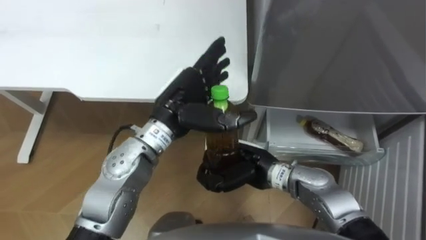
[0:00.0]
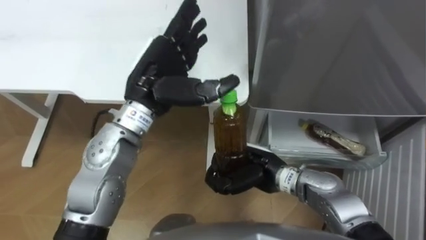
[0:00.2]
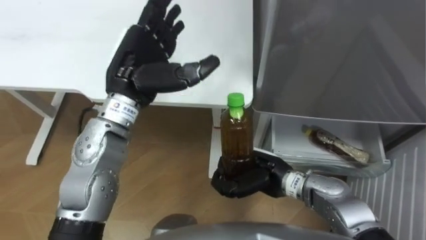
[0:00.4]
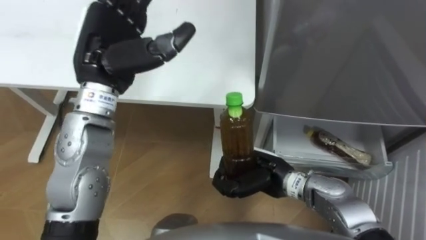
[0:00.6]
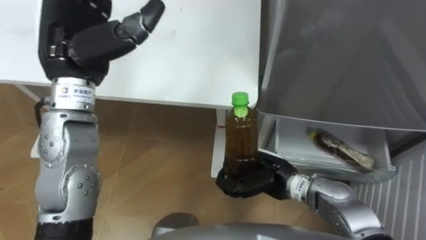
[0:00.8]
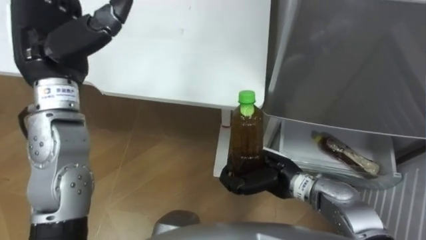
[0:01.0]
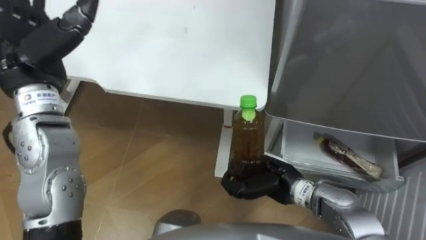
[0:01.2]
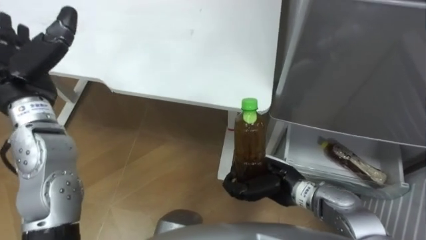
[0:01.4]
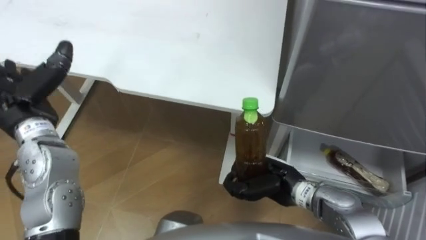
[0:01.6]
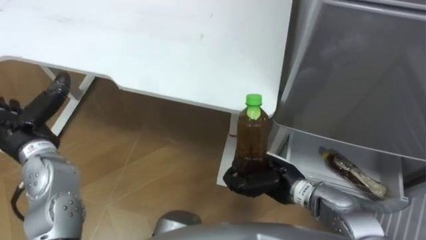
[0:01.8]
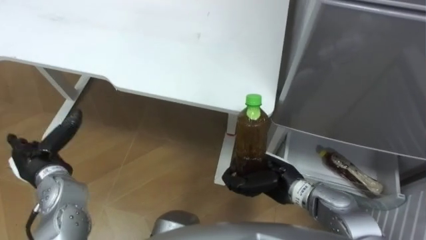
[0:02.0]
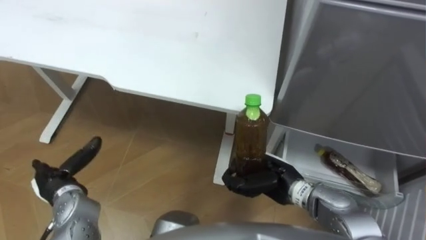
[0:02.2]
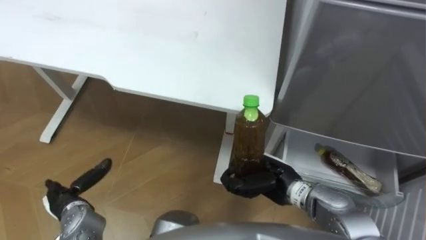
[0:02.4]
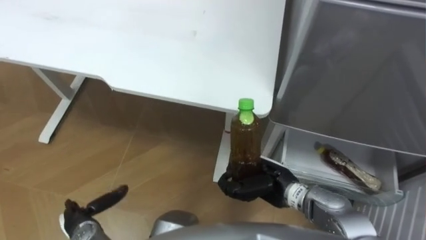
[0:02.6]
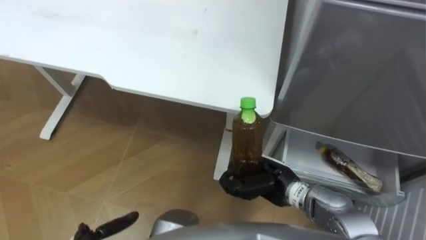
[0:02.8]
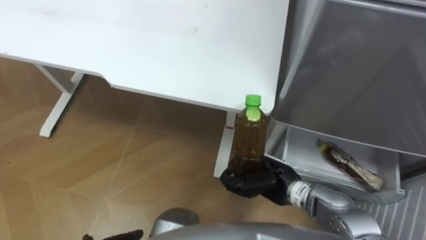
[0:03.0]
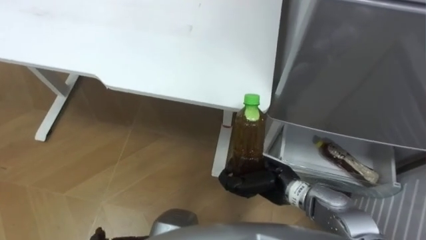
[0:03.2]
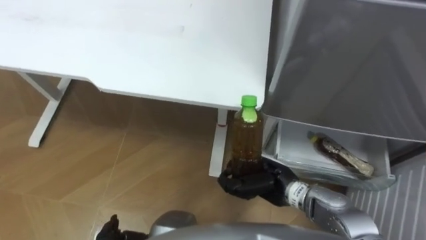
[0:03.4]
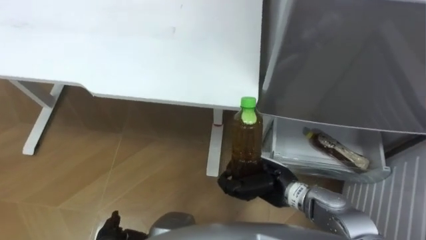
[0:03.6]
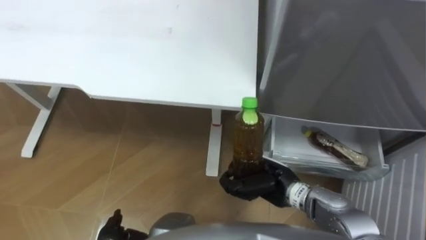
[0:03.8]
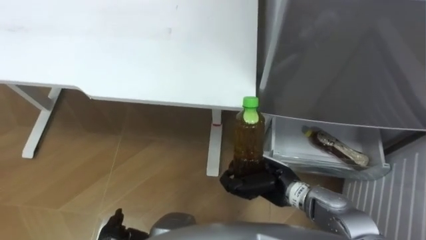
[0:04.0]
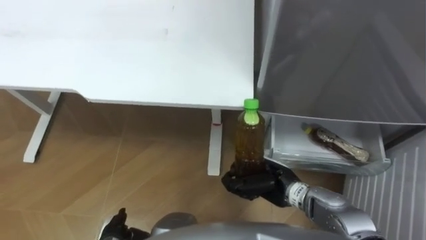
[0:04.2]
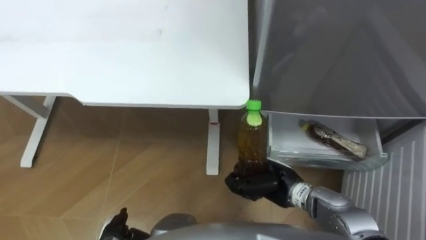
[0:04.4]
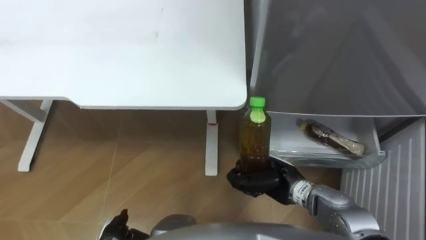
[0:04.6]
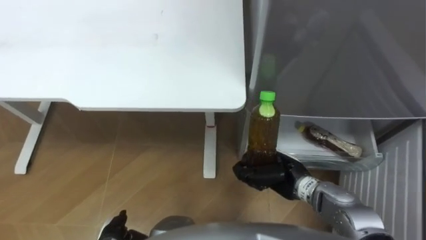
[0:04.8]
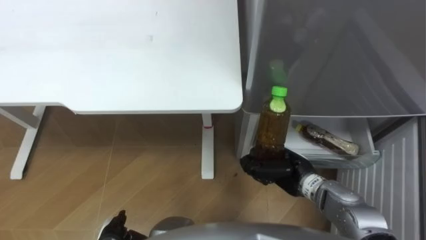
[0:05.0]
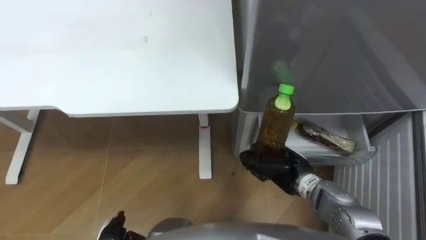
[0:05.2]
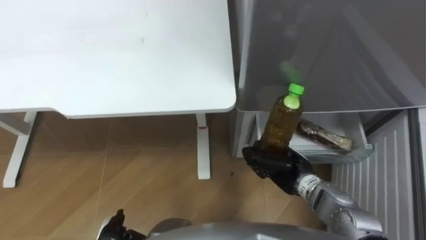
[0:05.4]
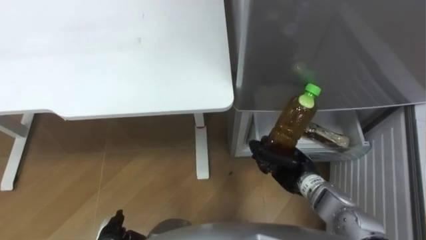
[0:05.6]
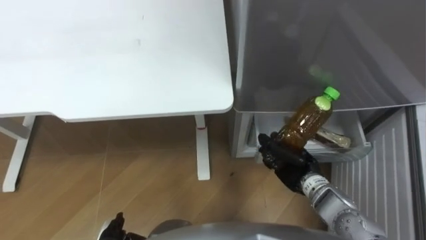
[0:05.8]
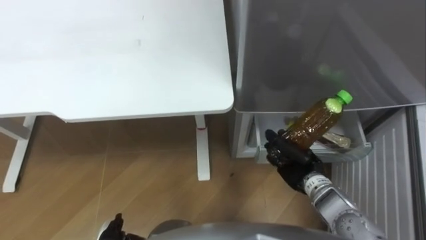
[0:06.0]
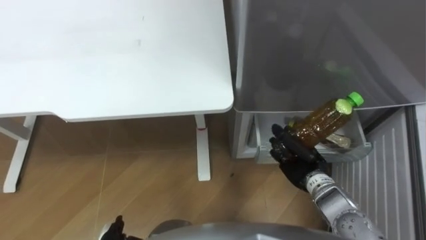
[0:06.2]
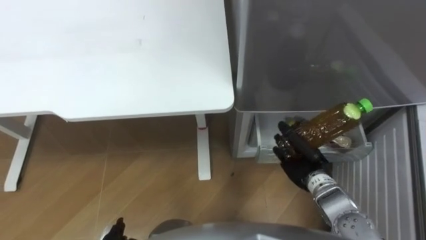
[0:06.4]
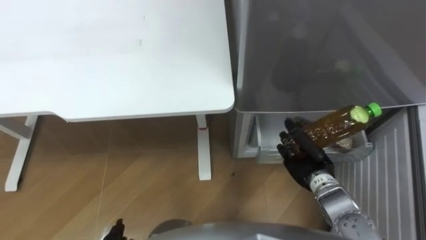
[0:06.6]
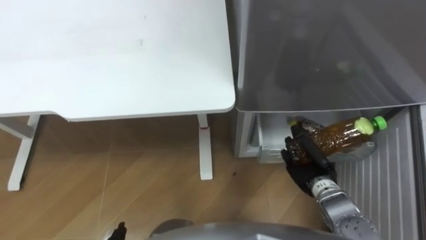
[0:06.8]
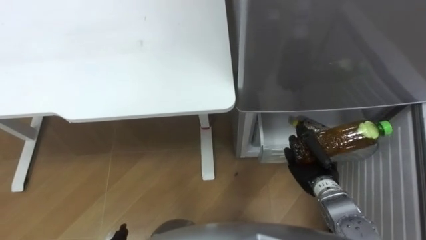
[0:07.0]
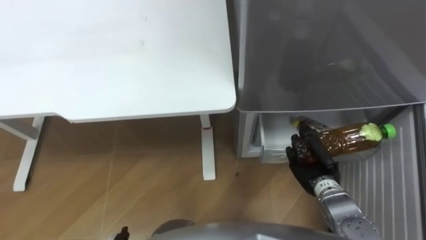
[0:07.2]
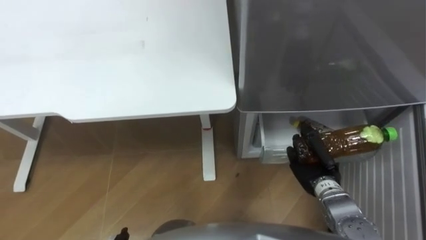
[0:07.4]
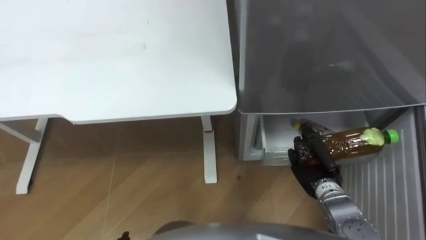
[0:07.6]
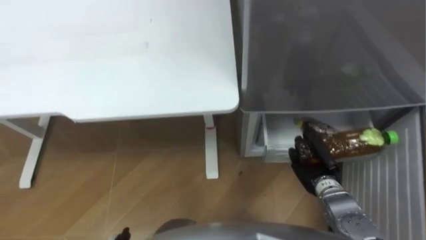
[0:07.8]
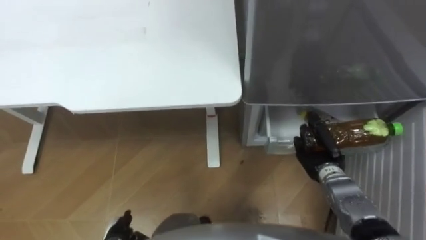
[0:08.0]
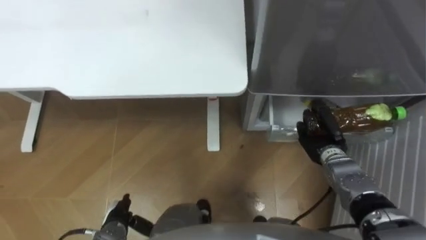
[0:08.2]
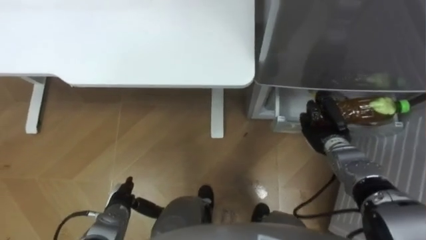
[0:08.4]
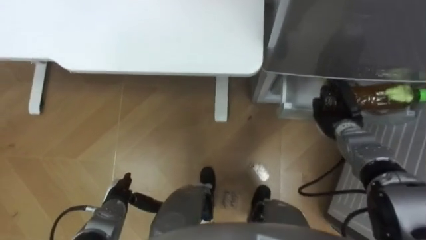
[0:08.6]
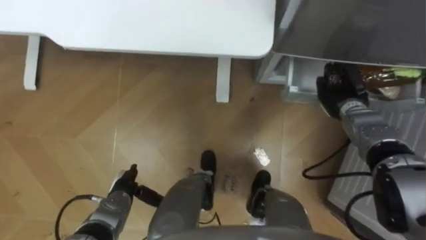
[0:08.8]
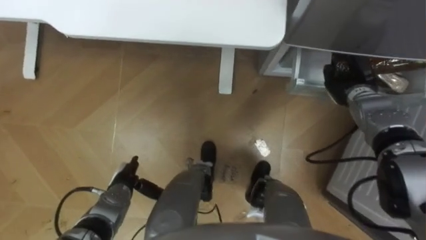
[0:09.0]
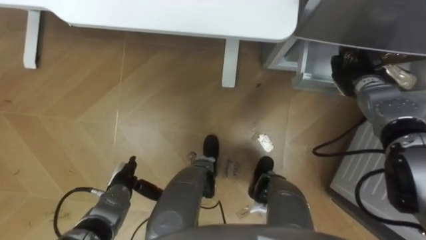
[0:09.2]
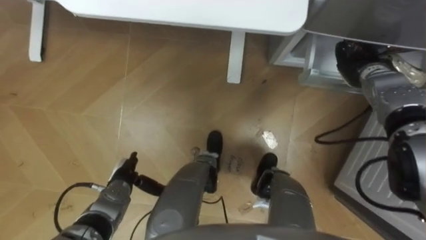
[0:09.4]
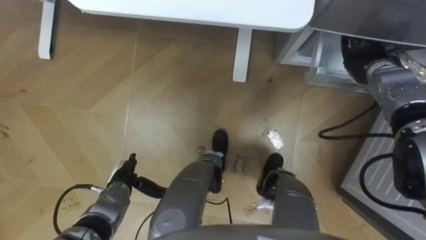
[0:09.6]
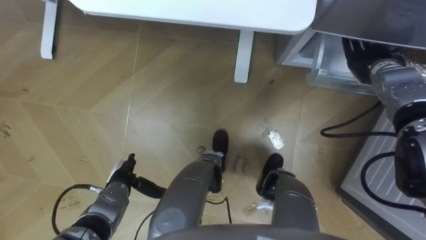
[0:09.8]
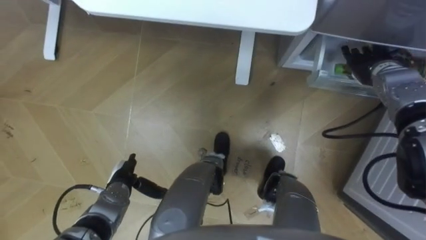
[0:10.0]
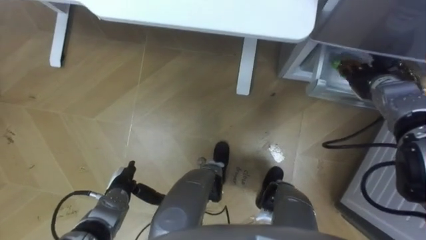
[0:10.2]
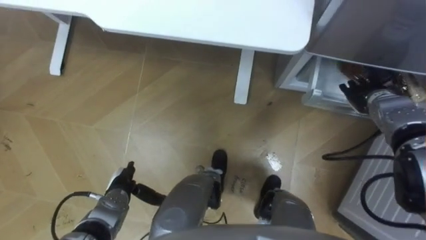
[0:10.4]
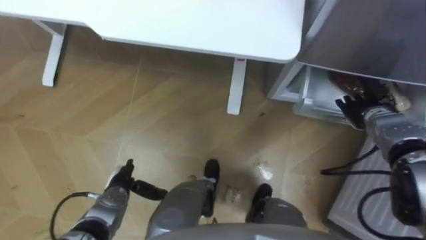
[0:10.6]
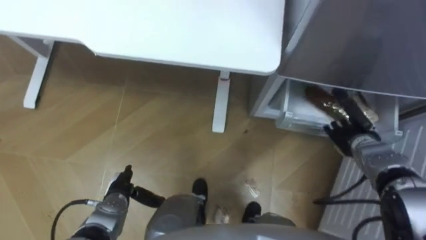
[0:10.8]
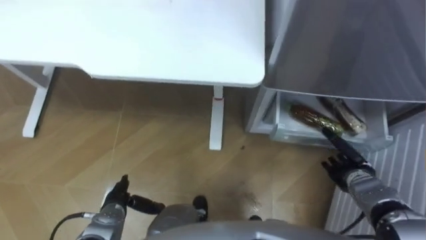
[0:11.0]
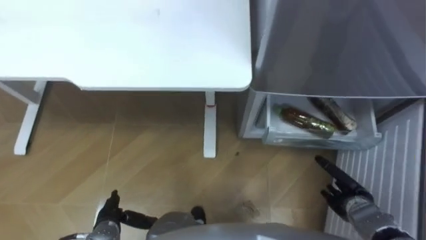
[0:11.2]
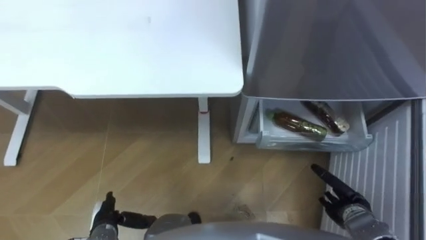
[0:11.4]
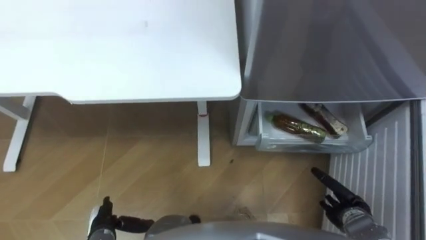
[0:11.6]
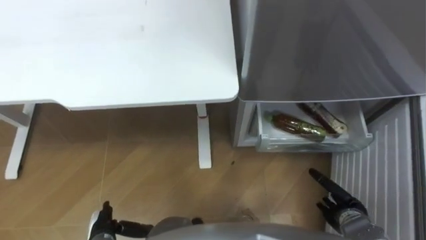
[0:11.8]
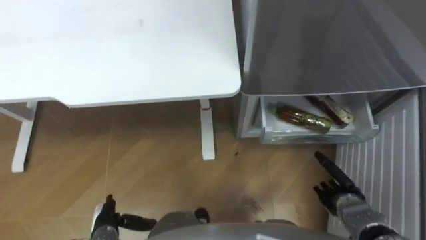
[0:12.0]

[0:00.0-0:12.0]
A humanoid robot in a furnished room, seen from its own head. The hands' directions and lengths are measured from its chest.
Task of the whole recording: Place the drink on the table on the bottom shelf of the refrigerator, then close the drawer and the refrigerator door.
0:00.0 to 0:01.6: The right hand moves to the right, approximately 5 cm; the left hand moves to the left, roughly 25 cm.
0:04.4 to 0:06.0: The right hand heads to the right, covering about 5 cm.
0:07.6 to 0:09.0: The right hand heads forward and upward, covering approximately 20 cm.
0:09.0 to 0:10.4: The right hand opens.
0:10.4 to 0:12.0: The left hand moves backward, approximately 10 cm. Meanwhile the right hand moves backward and downward, about 25 cm.

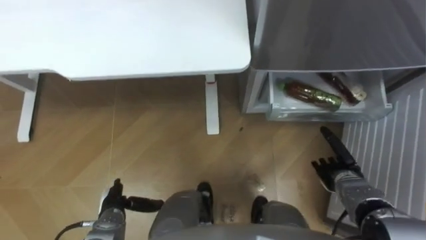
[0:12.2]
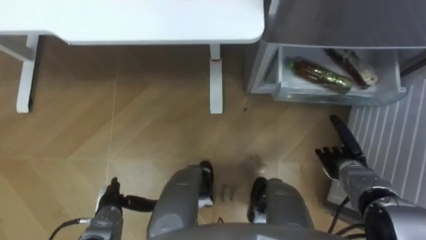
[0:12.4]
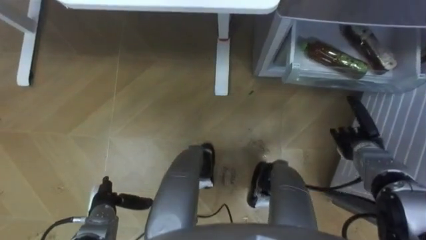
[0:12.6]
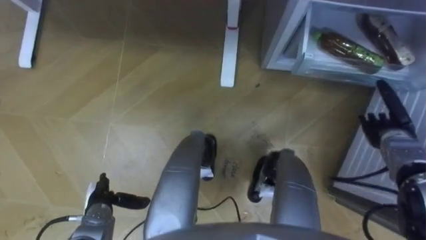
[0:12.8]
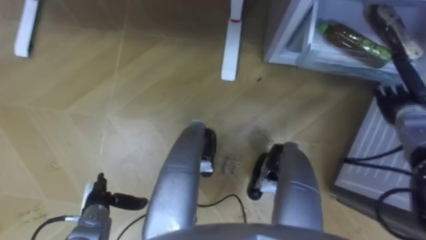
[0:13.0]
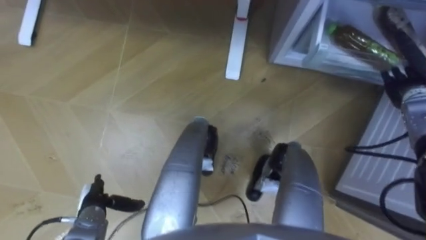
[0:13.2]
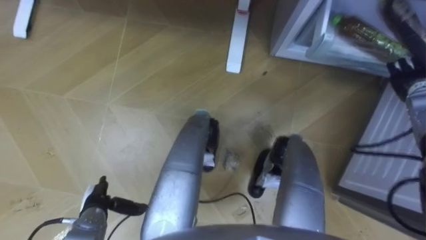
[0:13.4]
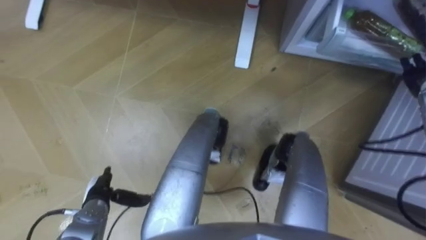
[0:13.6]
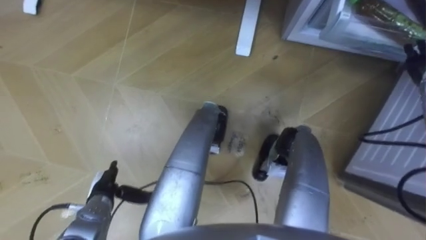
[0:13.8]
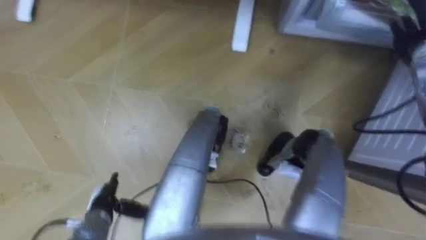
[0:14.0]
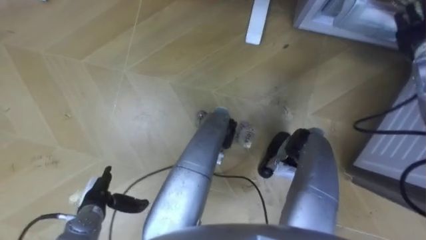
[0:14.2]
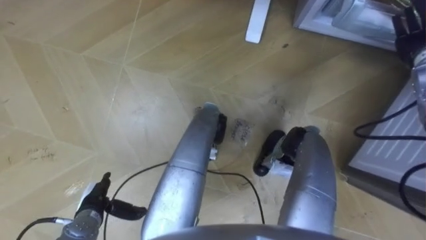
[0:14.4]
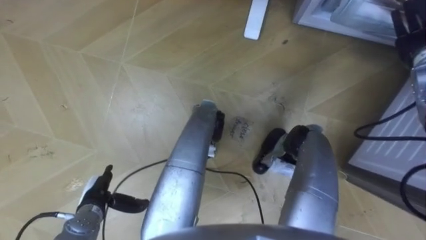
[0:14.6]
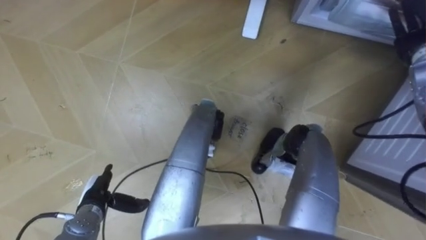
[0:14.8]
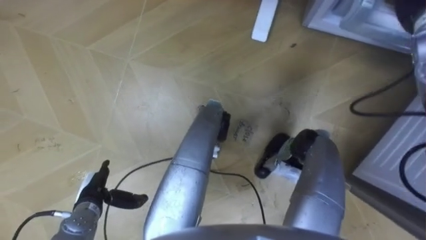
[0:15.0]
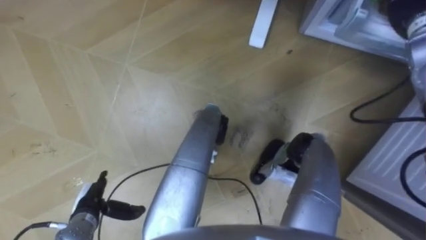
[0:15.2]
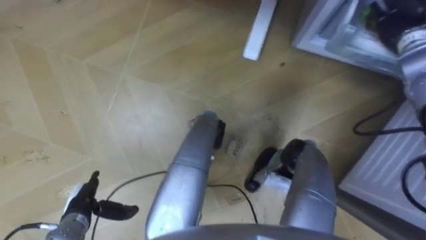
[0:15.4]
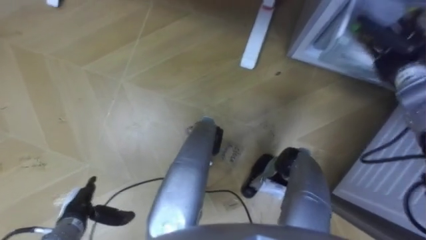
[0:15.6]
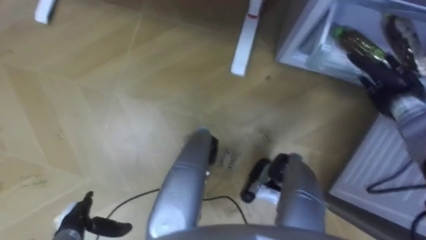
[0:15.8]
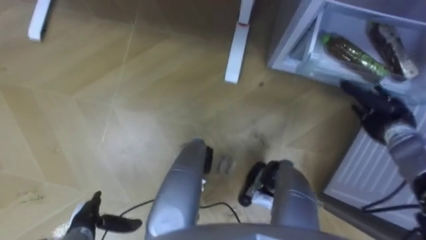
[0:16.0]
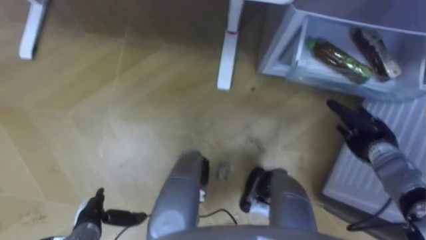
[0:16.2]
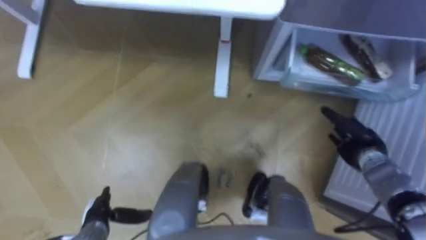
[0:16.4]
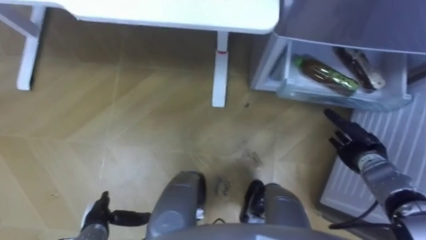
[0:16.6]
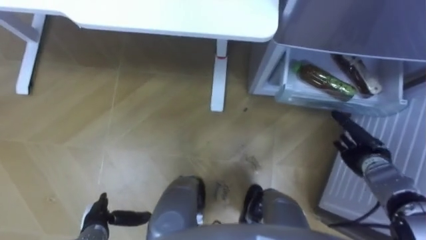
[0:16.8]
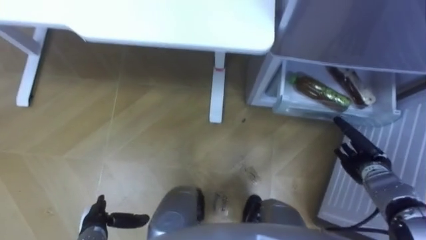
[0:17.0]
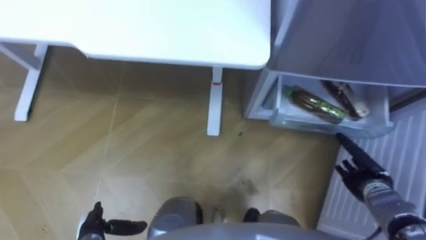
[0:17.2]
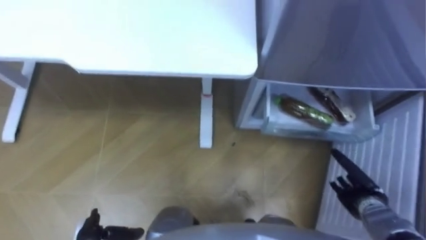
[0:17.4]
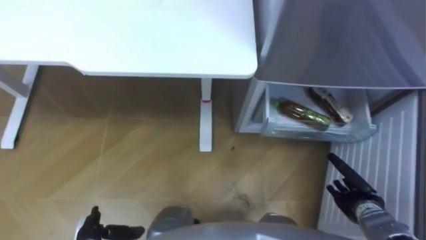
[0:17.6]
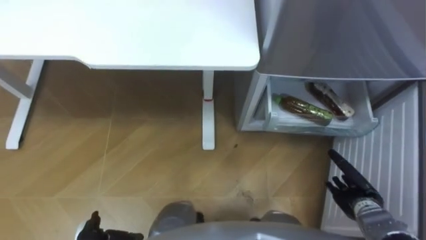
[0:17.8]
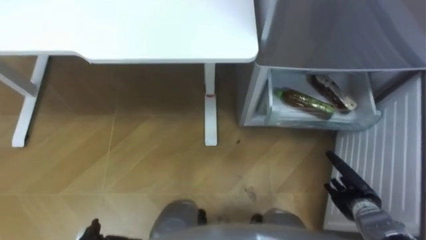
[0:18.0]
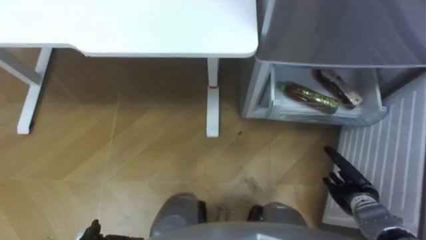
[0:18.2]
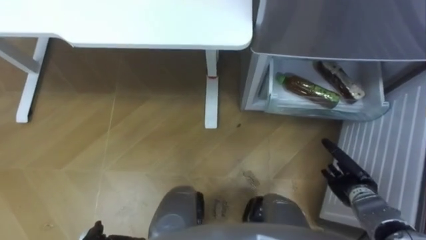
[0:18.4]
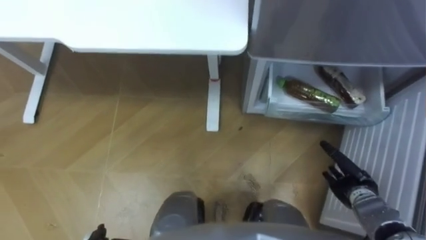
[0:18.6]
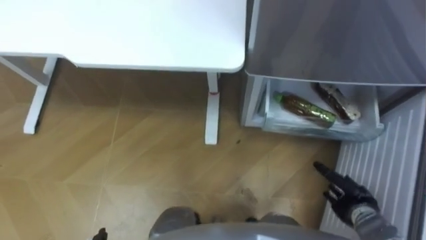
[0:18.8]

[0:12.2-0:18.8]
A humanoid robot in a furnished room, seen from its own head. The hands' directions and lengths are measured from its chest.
Task of the whole recording: Place the drink on the table on the bottom shelf of the refrigerator, then close the drawer and the refrigerator door.
0:12.2 to 0:13.8: The right hand moves upward, forward and to the right, approximately 30 cm.
0:15.4 to 0:17.2: The right hand moves downward and backward, about 35 cm. Meanwhile the left hand changes place by approximately 5 cm.
0:17.2 to 0:18.8: The right hand goes roughly 5 cm backward.
